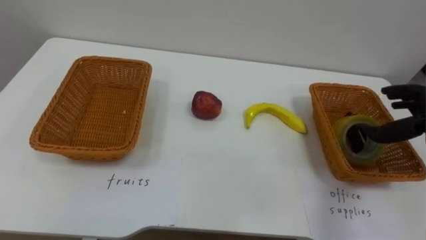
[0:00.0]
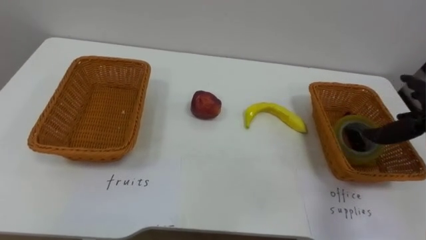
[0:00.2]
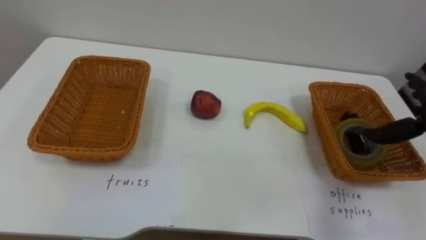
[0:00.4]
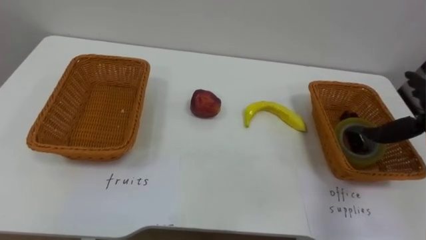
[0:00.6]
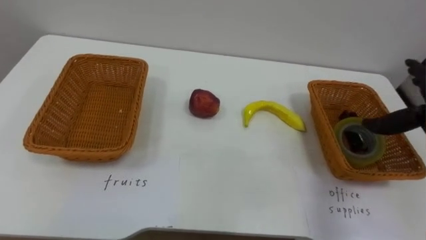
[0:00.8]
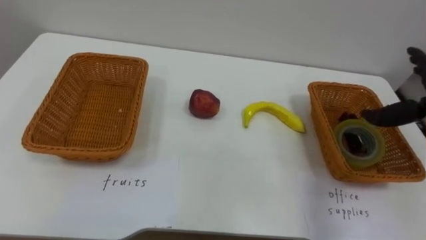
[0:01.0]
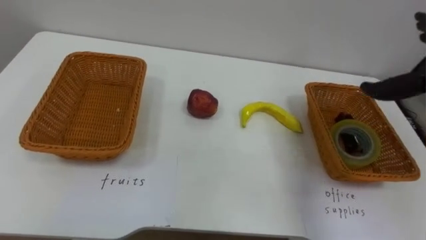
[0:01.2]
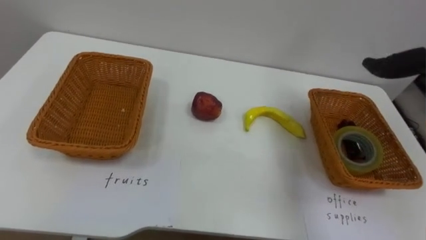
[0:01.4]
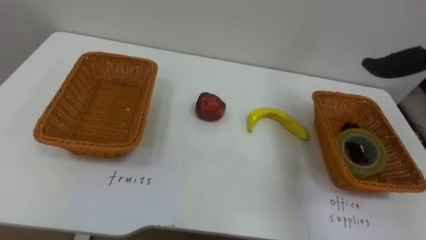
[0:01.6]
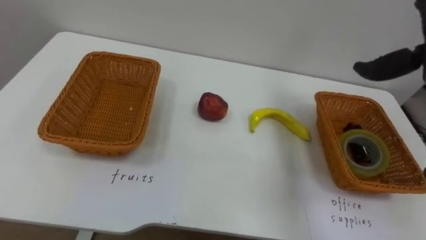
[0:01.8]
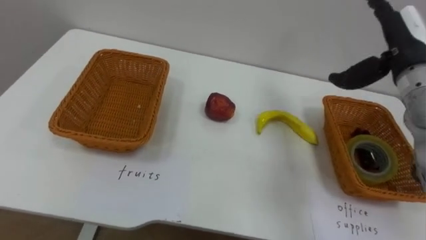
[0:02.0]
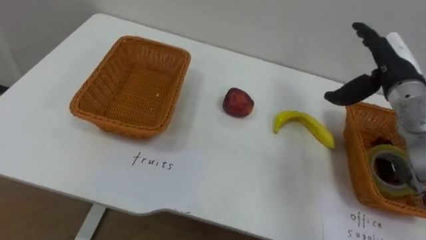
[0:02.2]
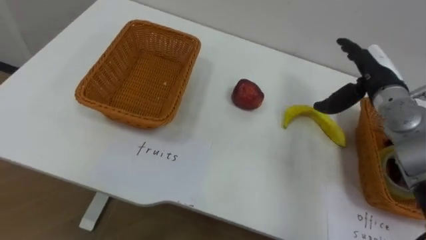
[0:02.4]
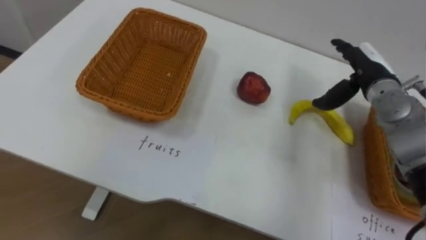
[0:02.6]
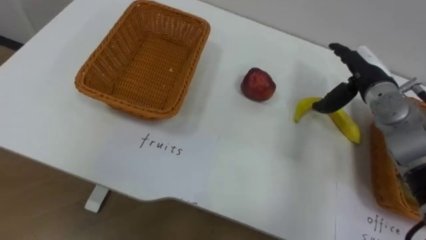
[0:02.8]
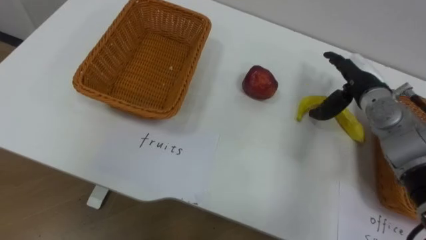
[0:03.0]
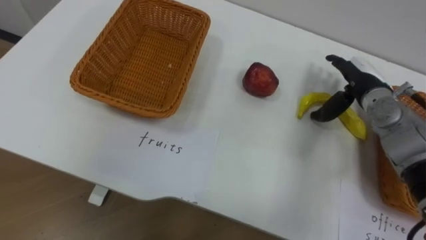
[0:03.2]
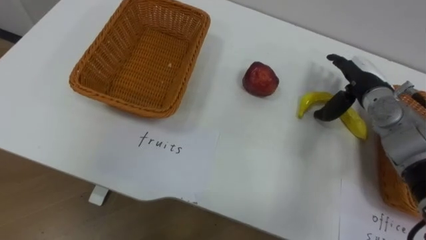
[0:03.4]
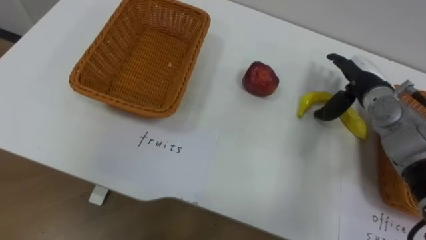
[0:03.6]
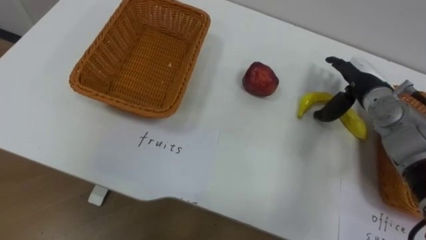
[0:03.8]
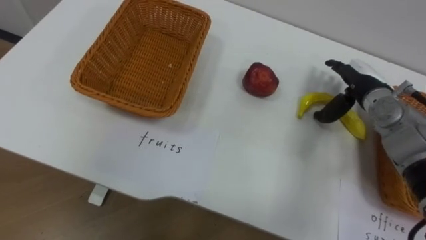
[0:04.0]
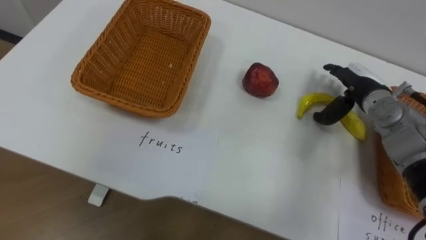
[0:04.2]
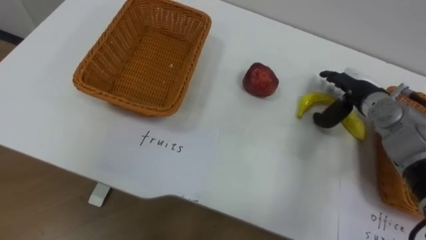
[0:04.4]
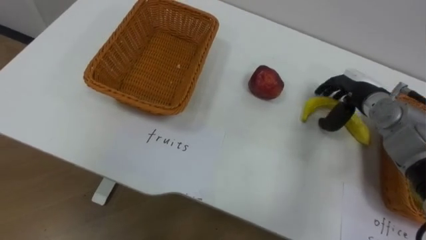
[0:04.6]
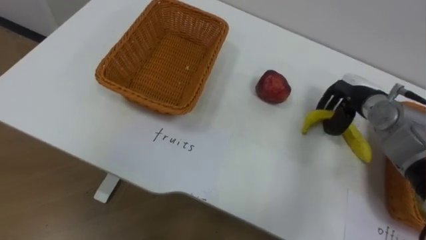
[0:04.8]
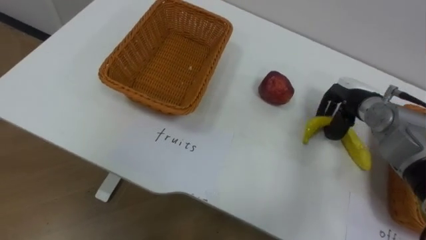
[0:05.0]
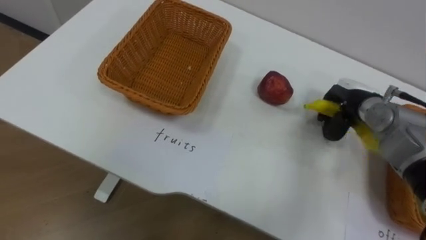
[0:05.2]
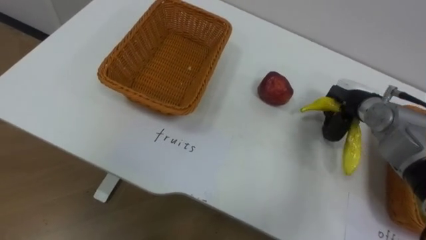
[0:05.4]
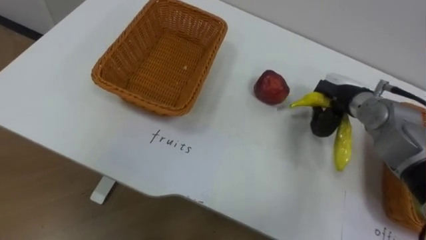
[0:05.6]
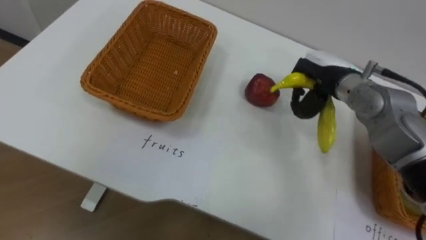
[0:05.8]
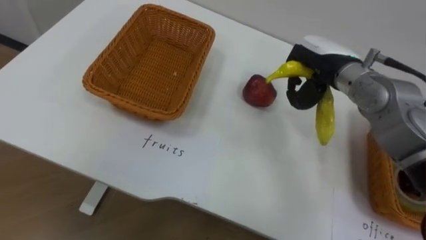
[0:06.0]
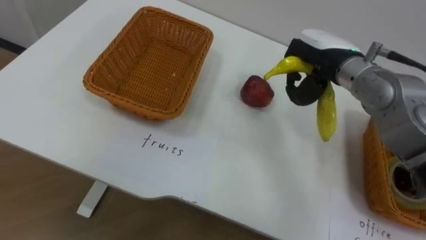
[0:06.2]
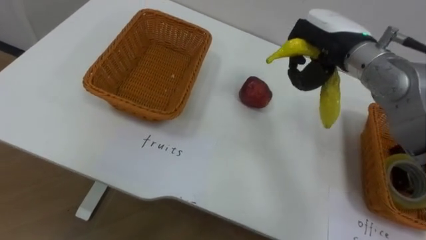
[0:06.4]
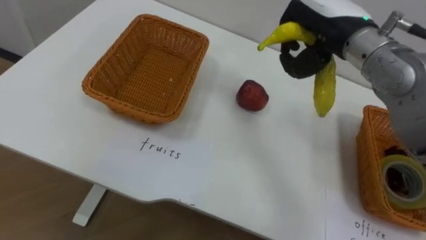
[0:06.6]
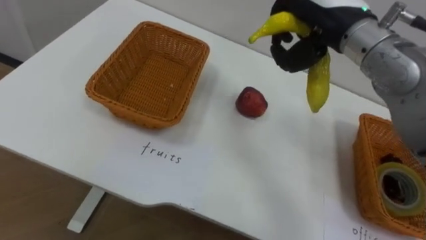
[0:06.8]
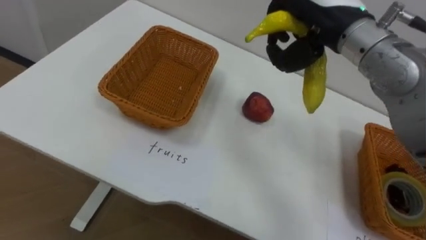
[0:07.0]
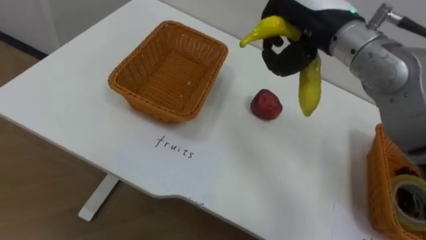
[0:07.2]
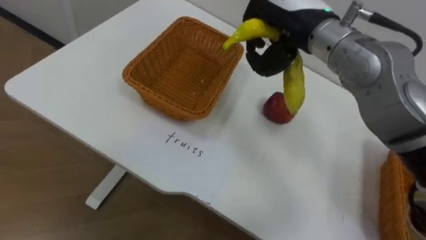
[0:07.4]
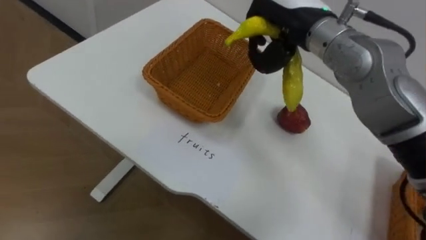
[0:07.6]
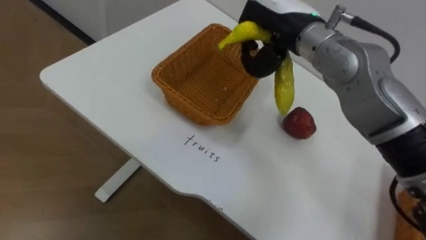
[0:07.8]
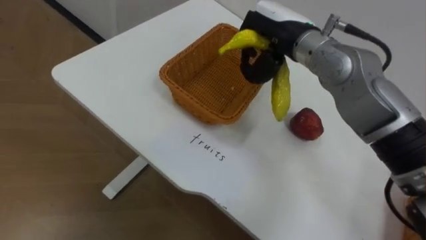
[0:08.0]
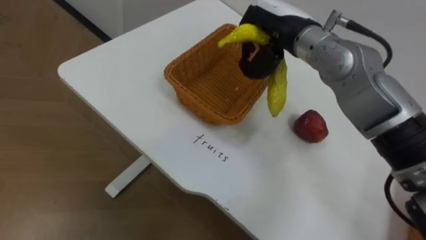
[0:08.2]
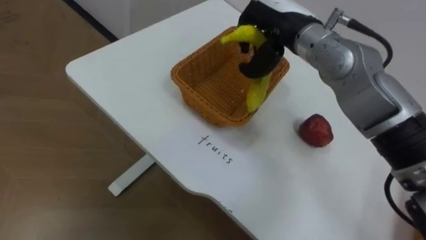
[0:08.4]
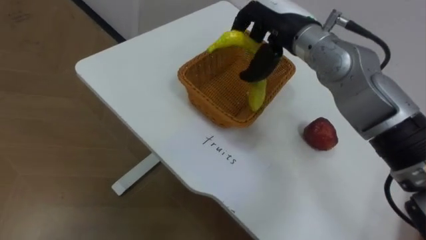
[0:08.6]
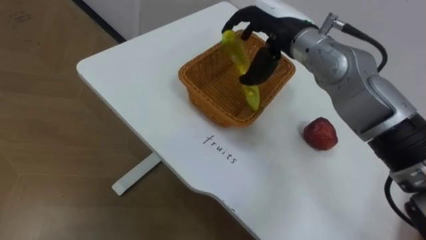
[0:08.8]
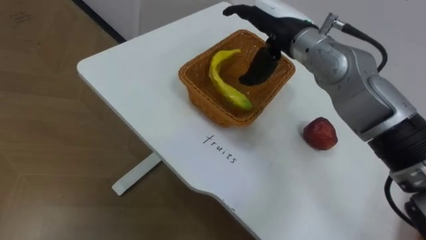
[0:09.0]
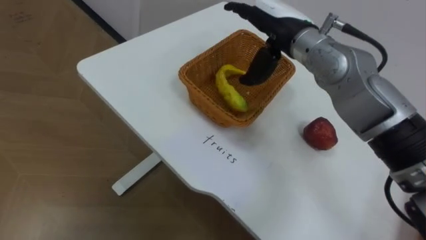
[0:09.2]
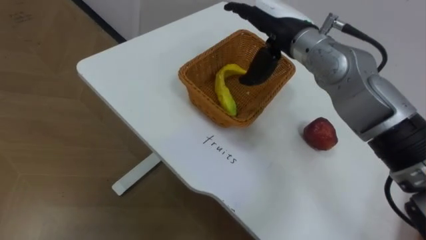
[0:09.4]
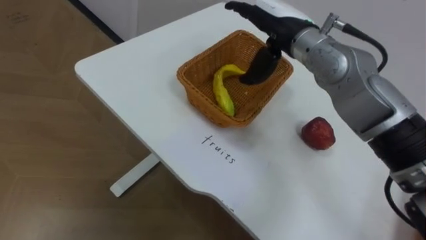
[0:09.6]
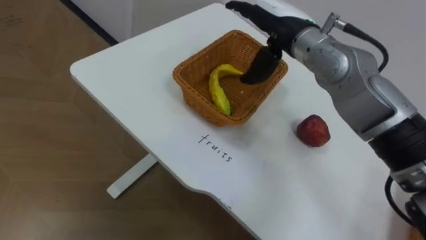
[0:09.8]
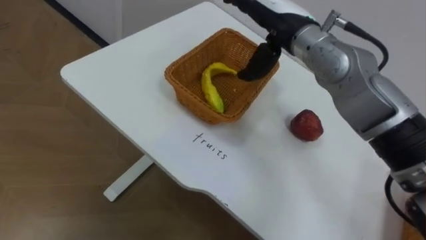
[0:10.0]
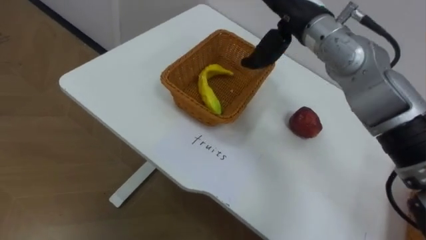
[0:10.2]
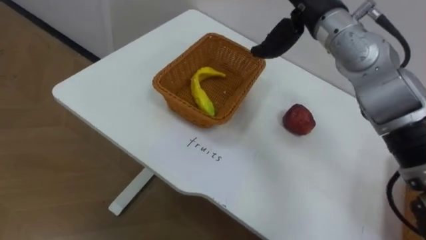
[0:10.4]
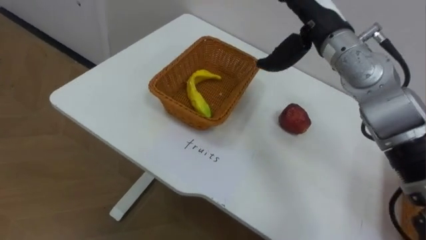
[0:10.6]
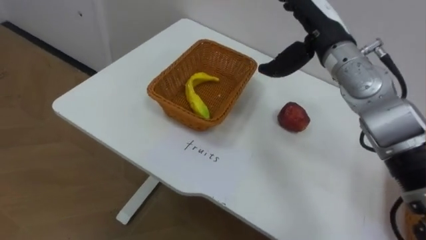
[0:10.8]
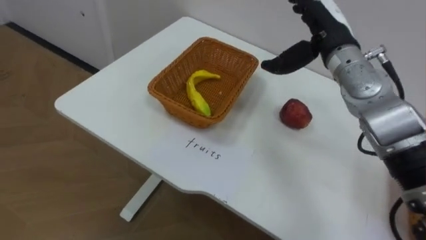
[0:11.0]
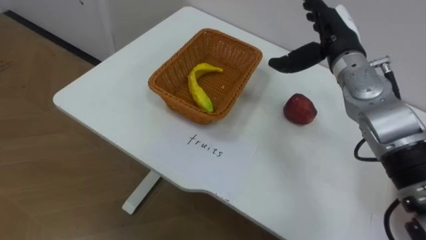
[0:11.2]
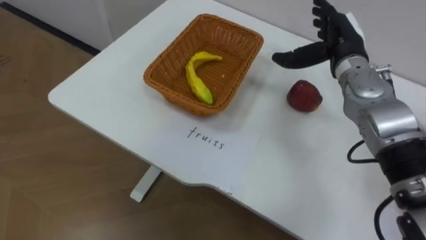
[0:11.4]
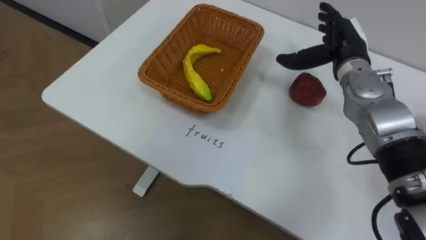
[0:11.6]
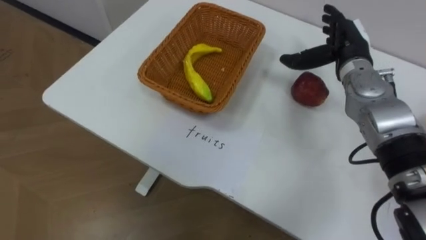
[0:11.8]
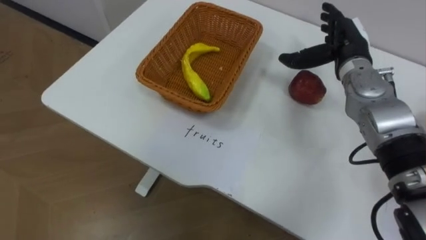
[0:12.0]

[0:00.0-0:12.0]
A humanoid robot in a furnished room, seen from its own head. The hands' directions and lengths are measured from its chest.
Task of the whole recording: Separate the items on the table and place them into the two baskets.
0:04.4 to 0:06.0: The right hand goes approximately 10 cm to the left and upward, and closes its fingers.
0:06.0 to 0:07.6: The right hand heads upward and to the left, covering some 10 cm.
0:07.6 to 0:09.0: The right hand opens its fingers.

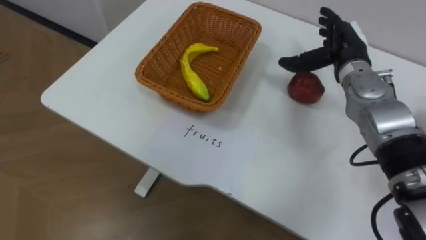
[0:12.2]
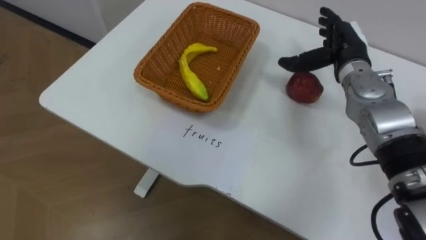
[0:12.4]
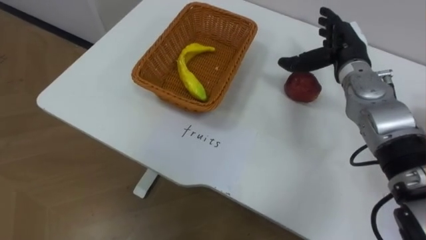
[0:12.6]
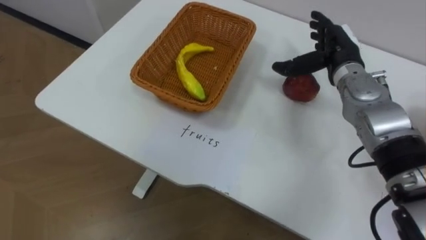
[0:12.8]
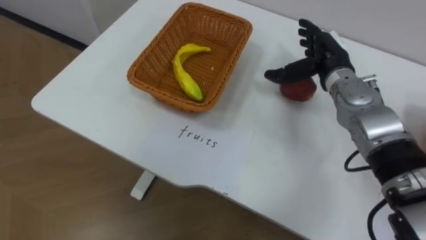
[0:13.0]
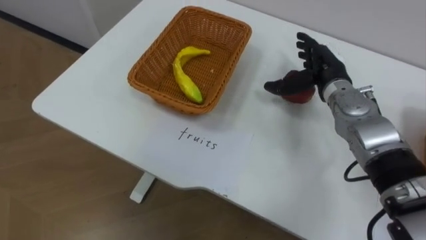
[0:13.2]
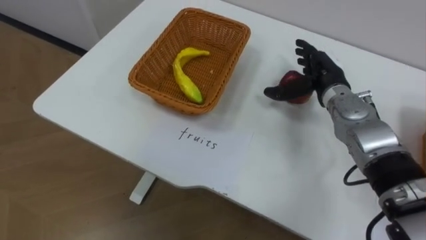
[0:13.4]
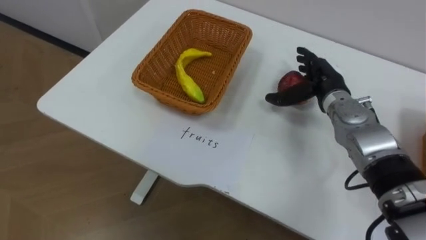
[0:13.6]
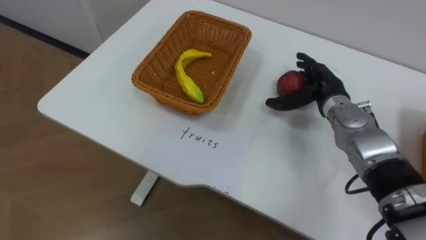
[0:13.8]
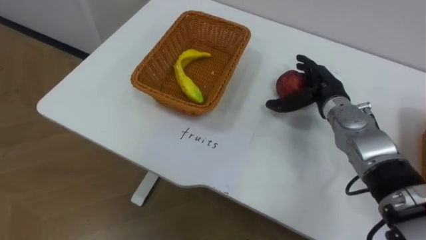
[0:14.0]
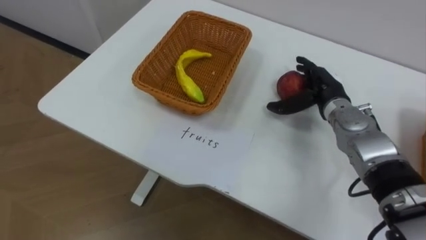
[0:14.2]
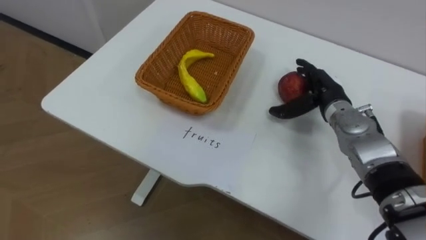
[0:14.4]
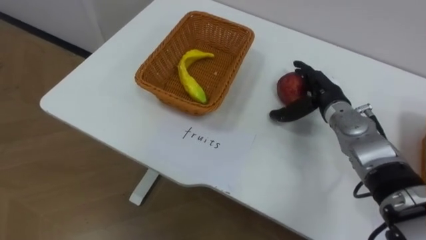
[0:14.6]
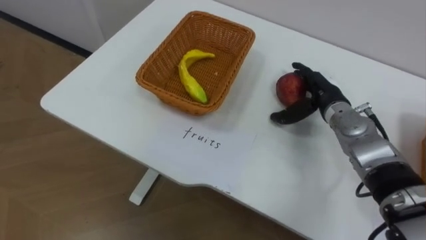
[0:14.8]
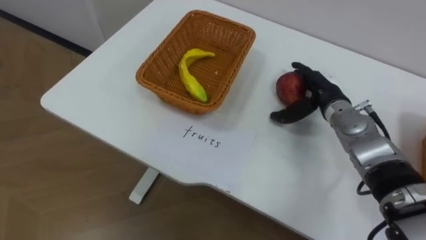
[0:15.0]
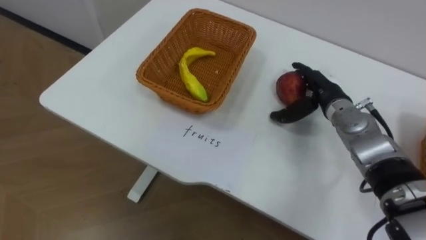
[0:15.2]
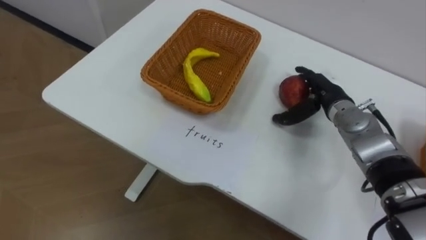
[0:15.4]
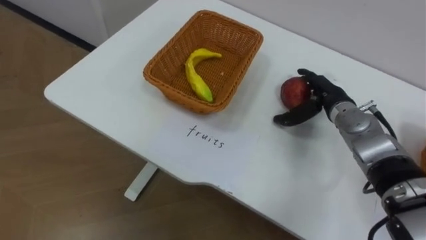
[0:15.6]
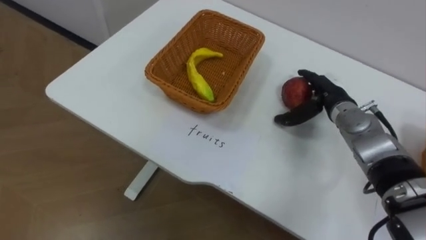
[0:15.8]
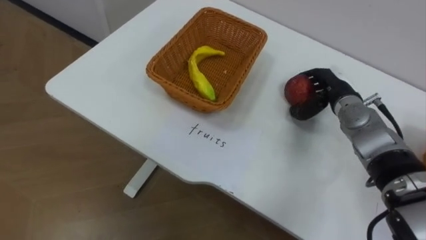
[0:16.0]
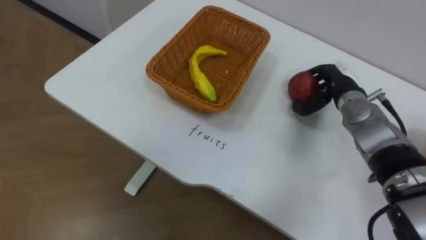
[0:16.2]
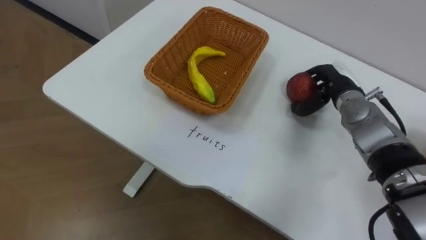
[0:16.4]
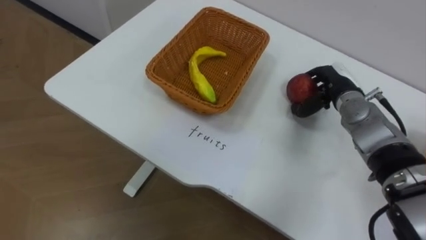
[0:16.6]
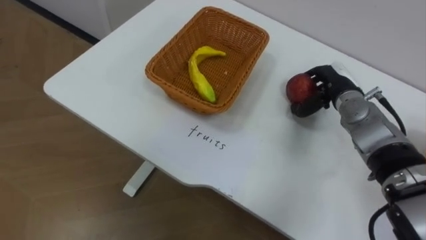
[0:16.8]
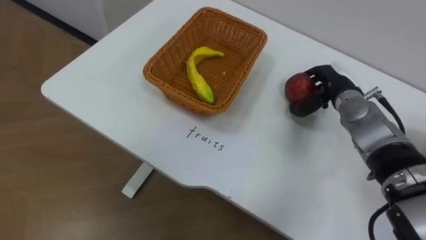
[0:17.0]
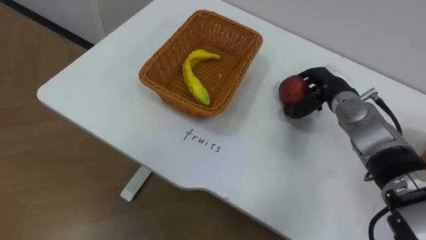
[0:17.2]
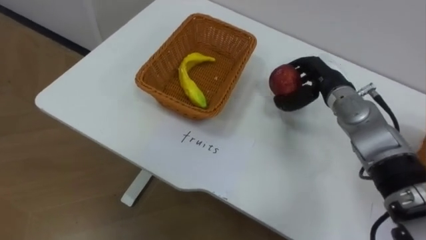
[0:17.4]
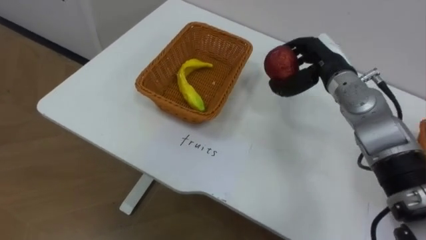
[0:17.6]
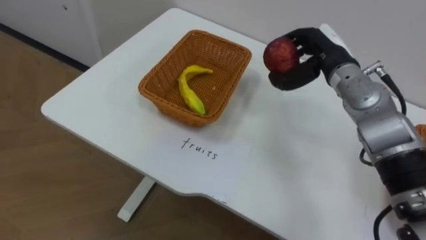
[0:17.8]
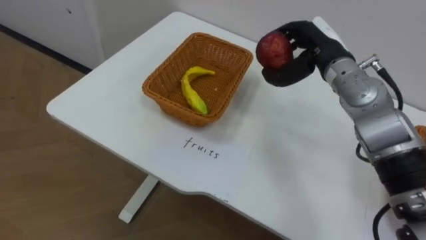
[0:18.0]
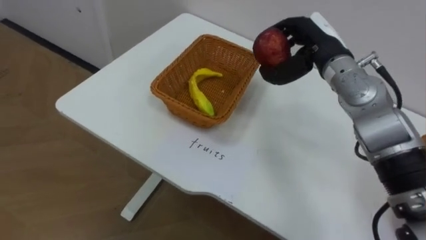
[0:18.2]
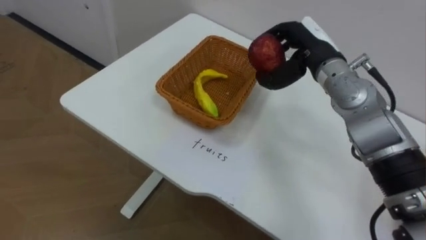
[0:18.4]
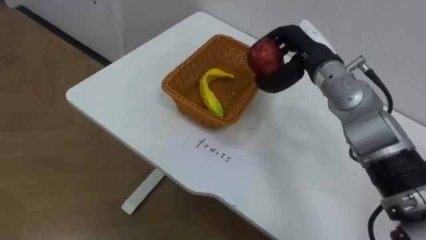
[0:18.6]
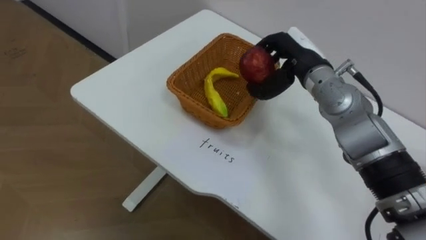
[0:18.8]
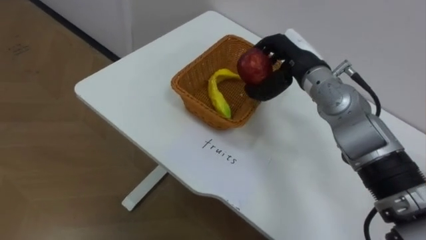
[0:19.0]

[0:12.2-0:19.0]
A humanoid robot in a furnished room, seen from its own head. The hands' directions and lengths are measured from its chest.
Task of the whole recording: Separate the items on the table and place them into the two baskets.
0:12.2 to 0:13.6: The right hand shifts roughly 5 cm downward.
0:15.0 to 0:16.2: The right hand closes.
0:16.2 to 0:17.6: The right hand heads upward, covering approximately 5 cm.
0:17.6 to 0:19.0: The right hand goes roughly 5 cm to the left.
